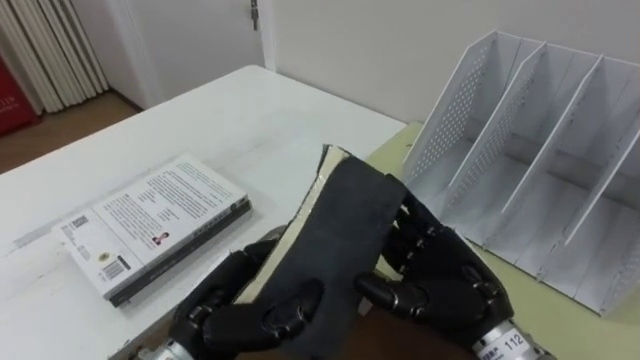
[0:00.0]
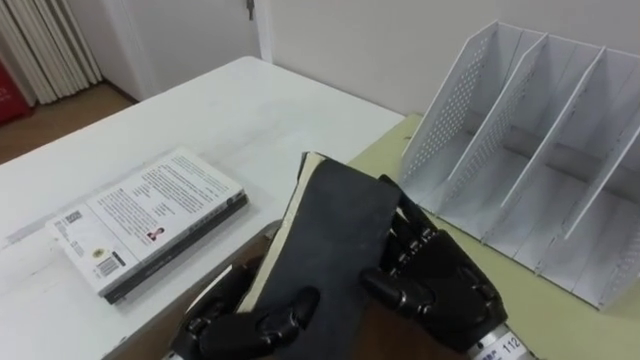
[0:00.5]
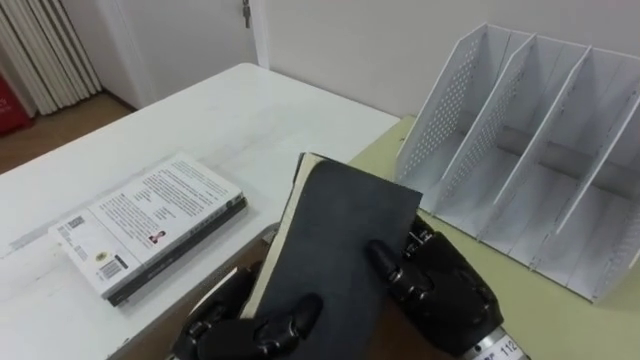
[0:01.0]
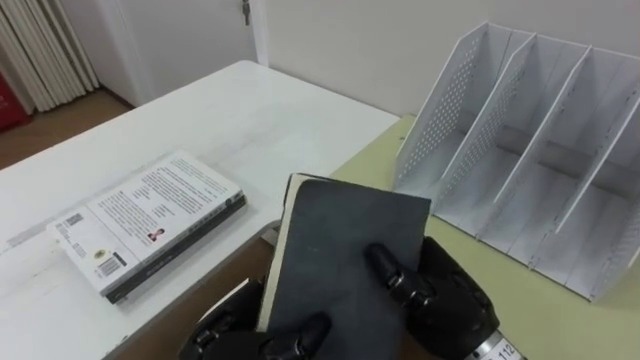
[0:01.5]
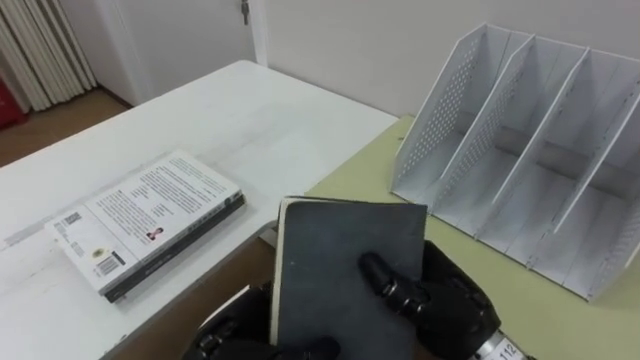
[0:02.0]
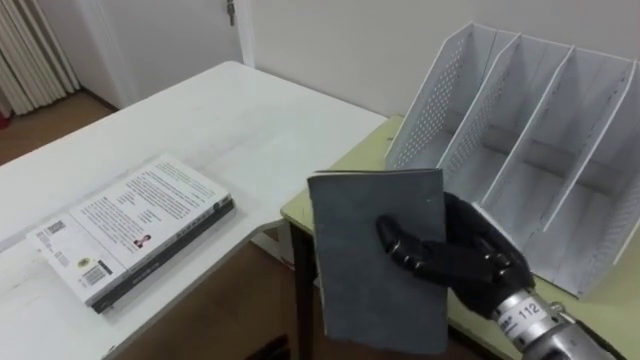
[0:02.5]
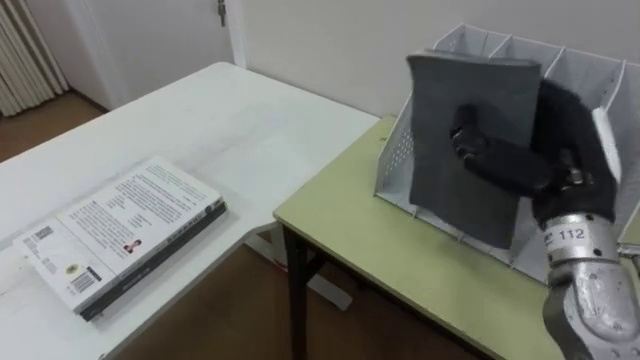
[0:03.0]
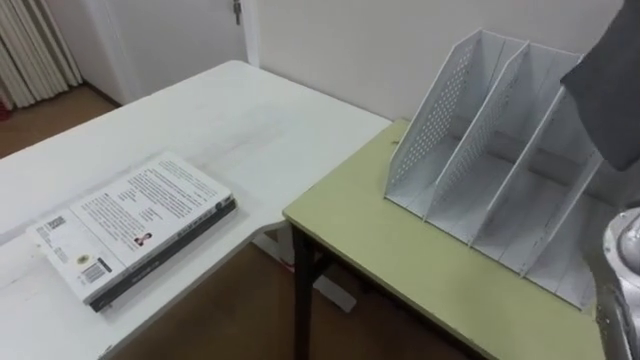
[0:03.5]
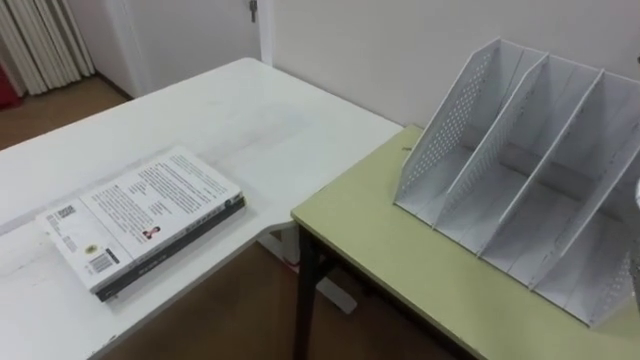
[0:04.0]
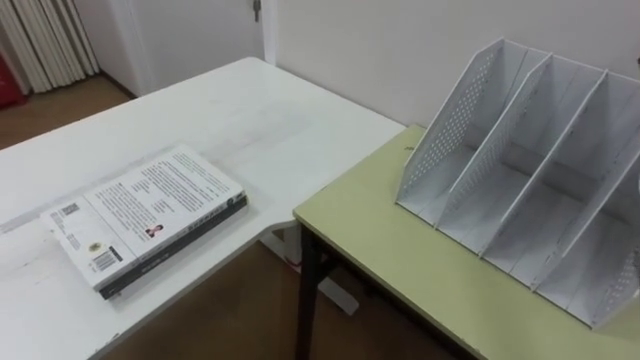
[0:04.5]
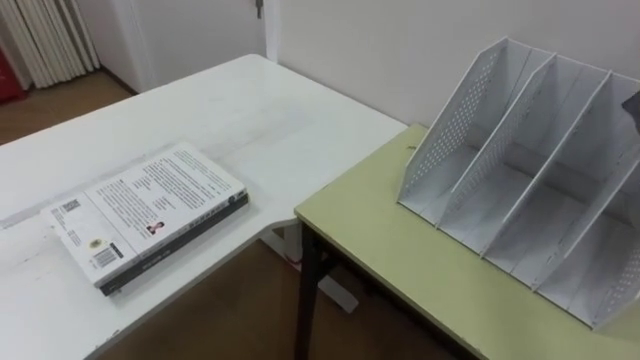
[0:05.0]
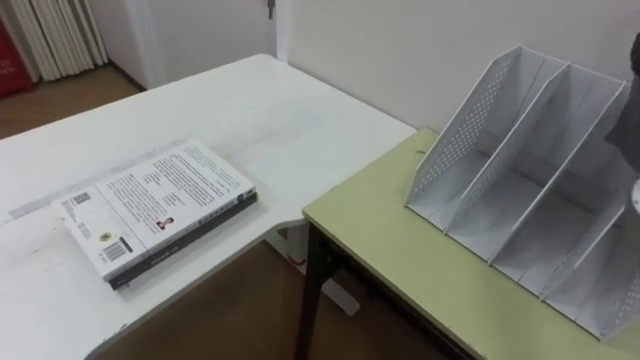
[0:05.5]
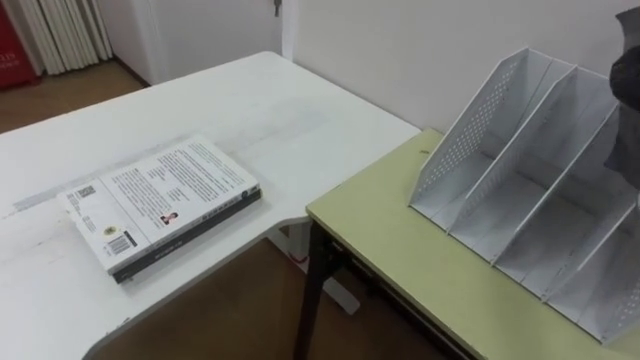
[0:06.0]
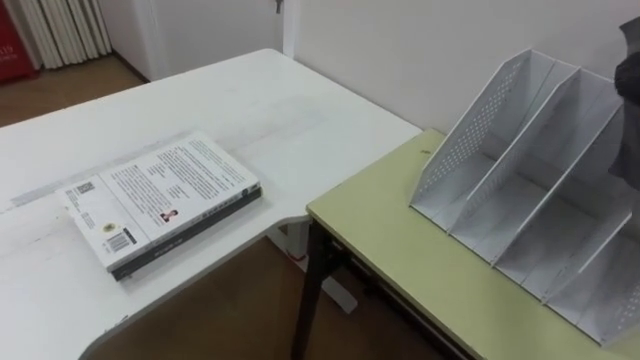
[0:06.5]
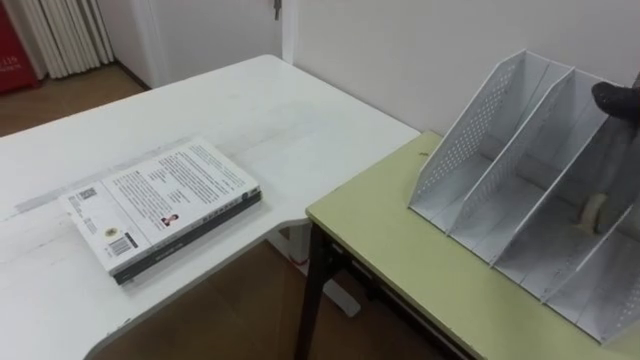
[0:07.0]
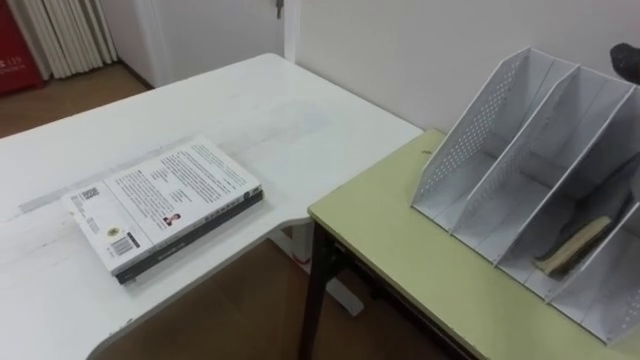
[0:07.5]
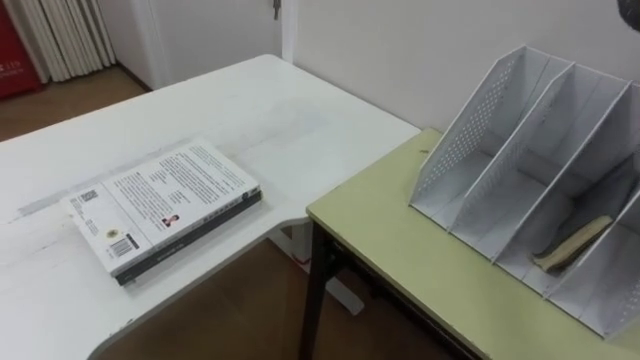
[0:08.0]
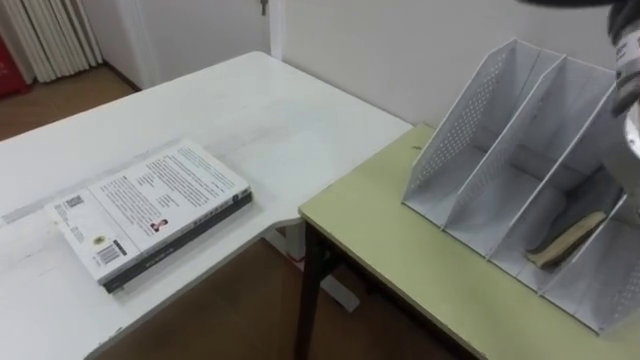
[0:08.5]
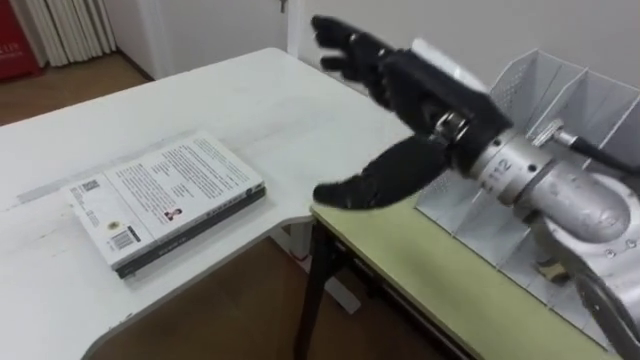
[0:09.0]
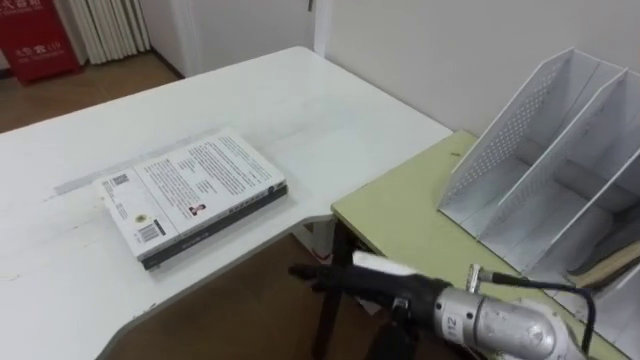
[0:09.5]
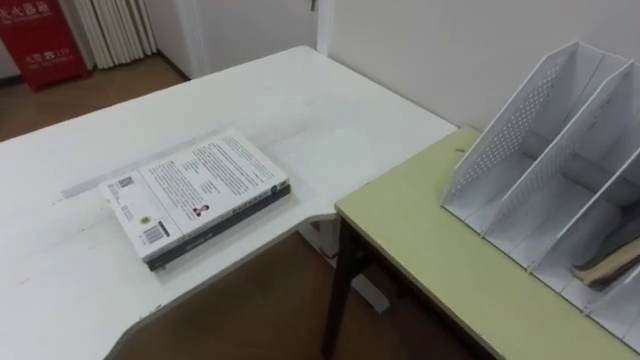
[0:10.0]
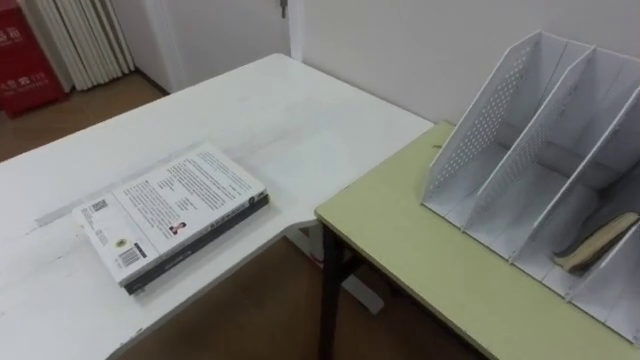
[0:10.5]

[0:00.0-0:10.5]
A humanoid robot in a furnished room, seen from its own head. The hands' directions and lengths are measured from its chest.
Task of the whole recording: Put the books on the table onto the bookshelf.
0:00.0 to 0:02.0: The right hand closes.

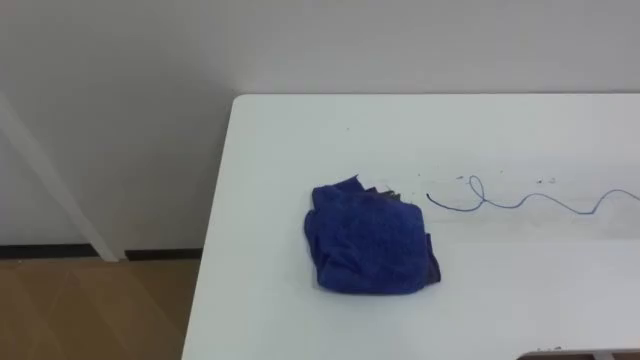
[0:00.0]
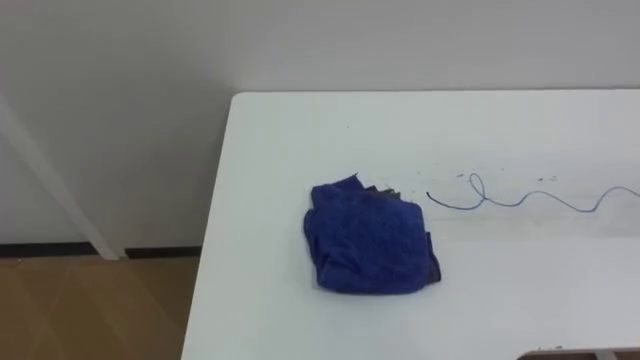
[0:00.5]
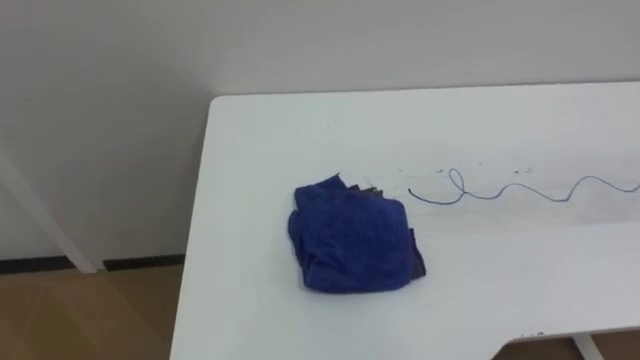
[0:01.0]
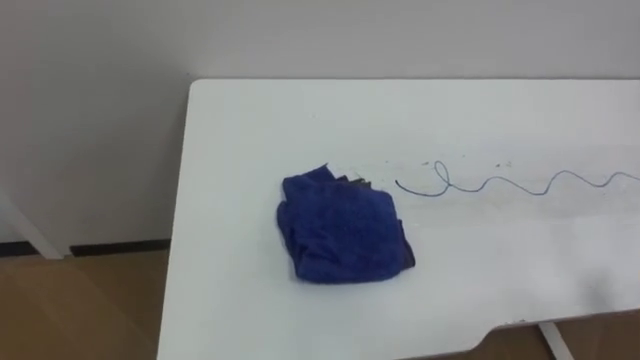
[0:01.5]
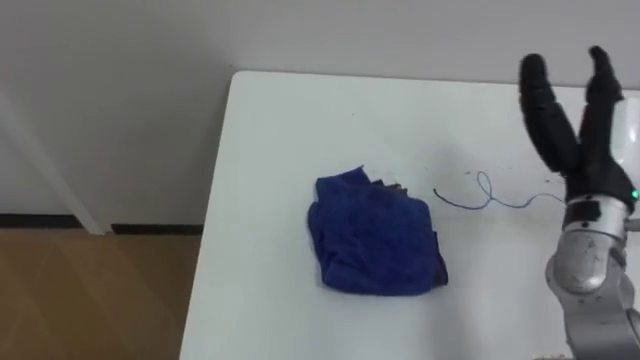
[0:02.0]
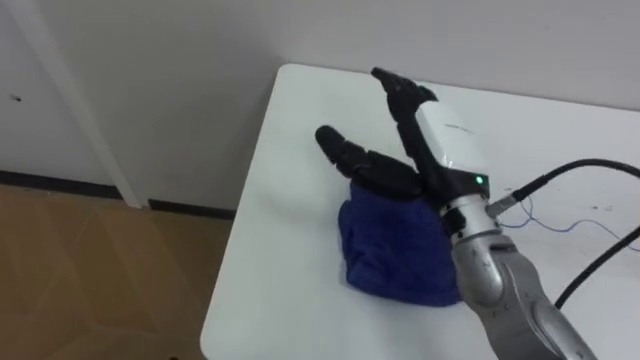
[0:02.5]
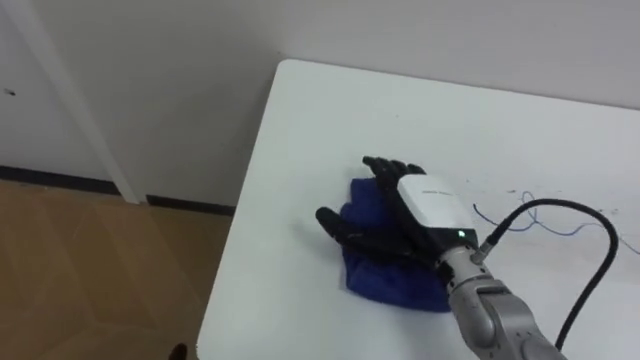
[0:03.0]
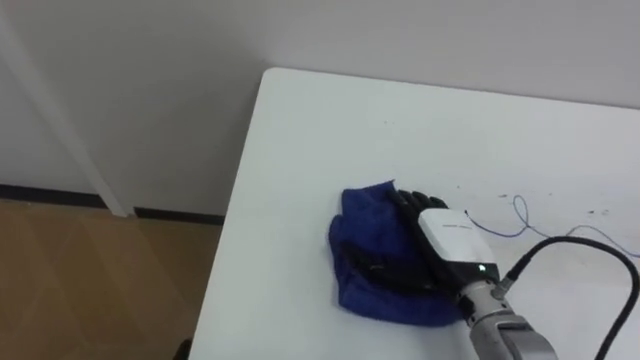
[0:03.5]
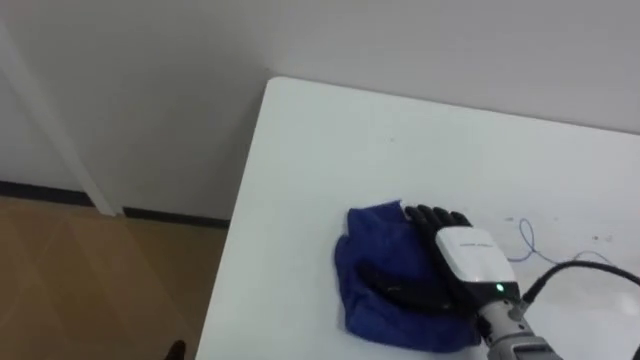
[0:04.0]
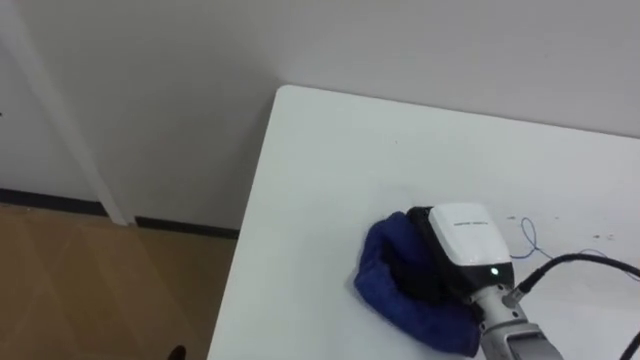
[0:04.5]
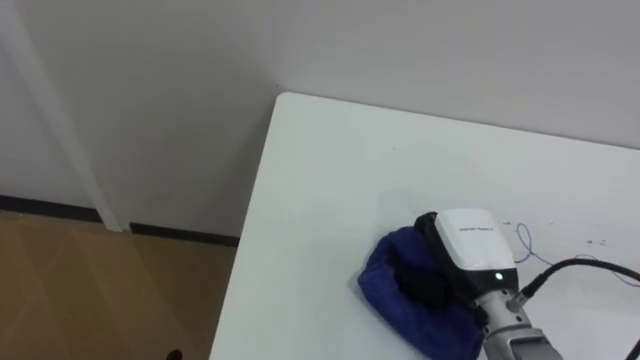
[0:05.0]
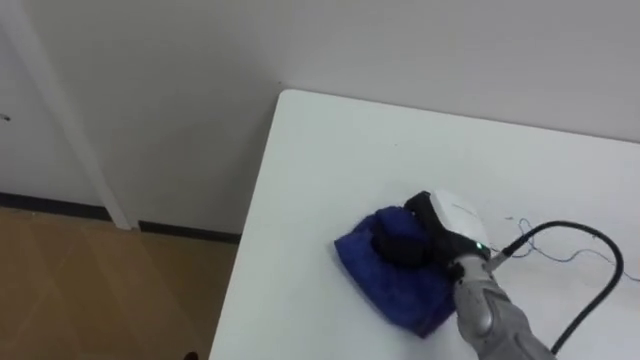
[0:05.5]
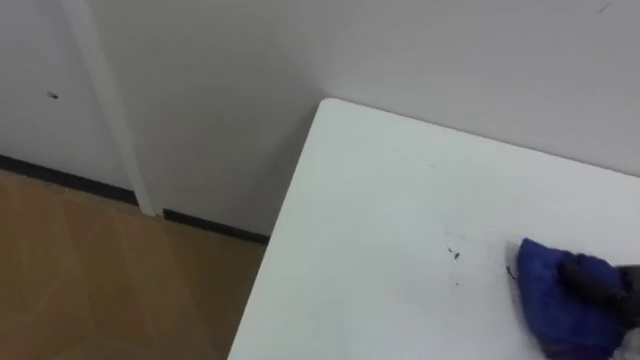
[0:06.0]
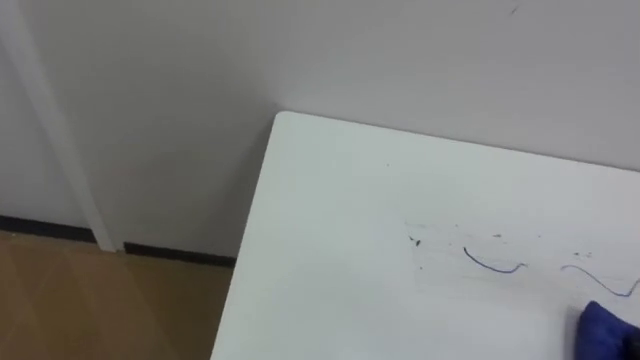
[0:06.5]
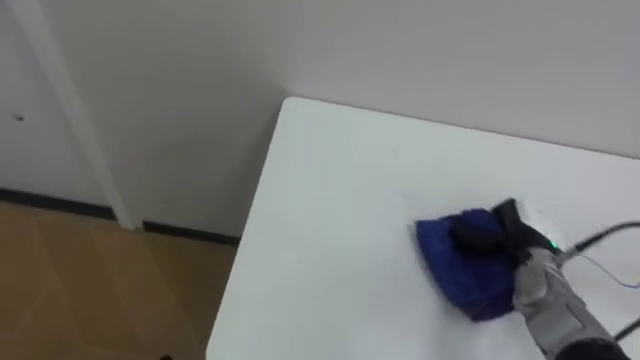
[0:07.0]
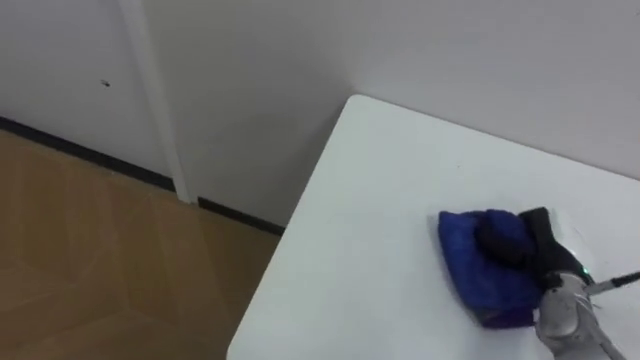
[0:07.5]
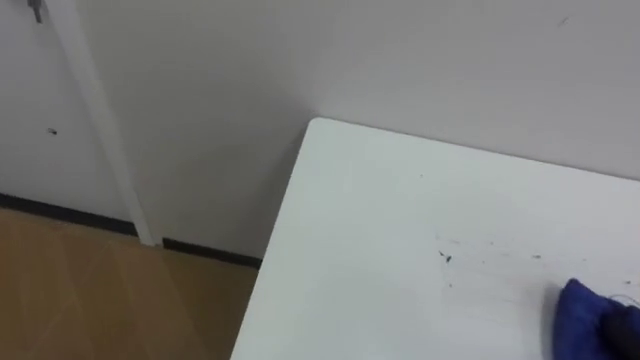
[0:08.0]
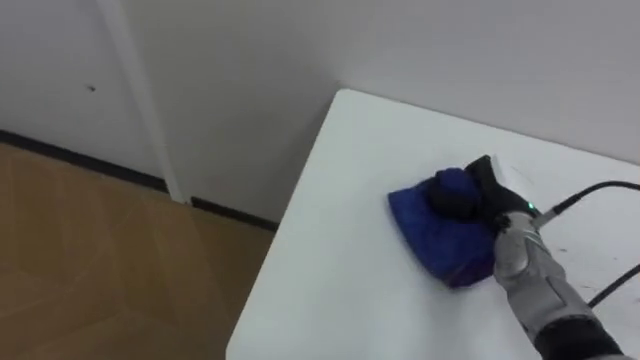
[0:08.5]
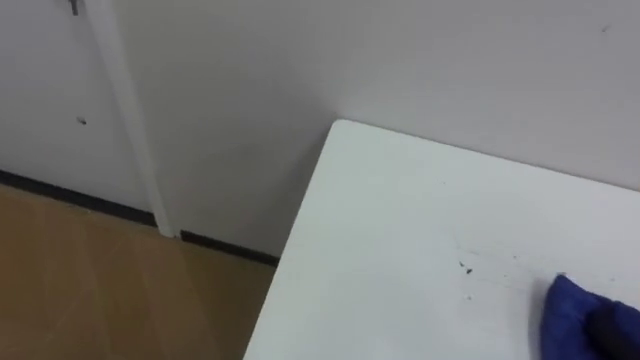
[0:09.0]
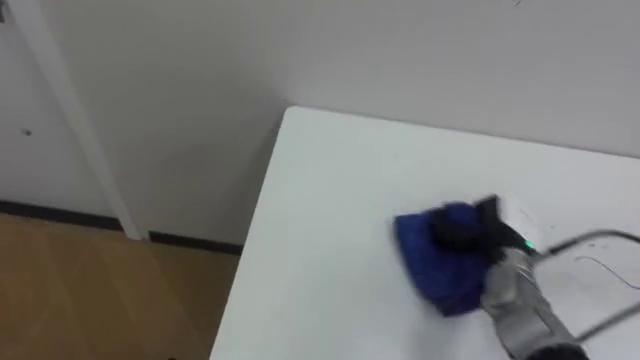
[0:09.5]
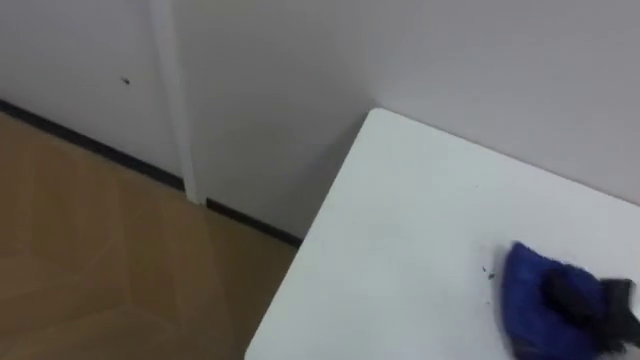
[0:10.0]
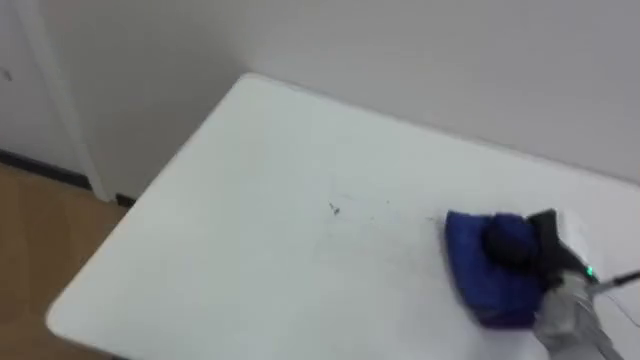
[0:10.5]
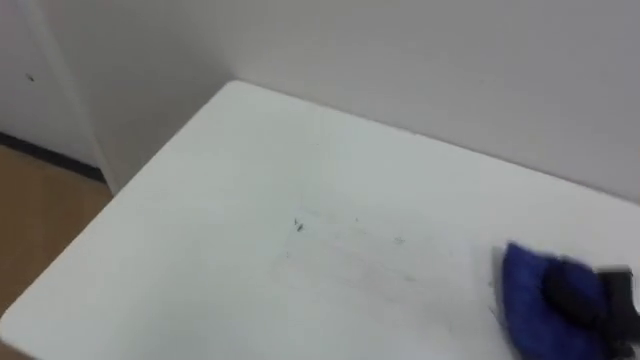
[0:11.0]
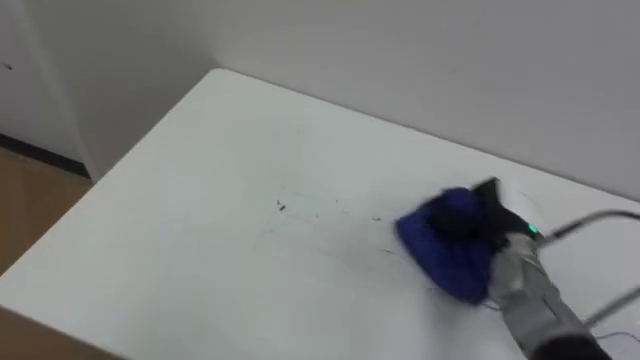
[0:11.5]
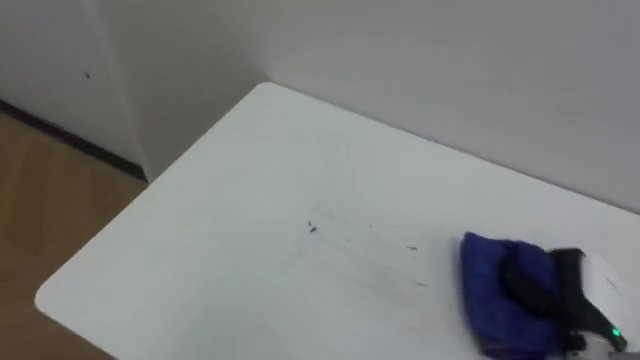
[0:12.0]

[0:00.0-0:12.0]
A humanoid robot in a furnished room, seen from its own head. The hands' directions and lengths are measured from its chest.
Task of the whole recording: Wipe the blue pen marks off the table with the rag.
0:02.0 to 0:04.0: The right hand travels downward, to the left and backward by about 20 cm.
0:04.0 to 0:06.0: The right hand goes approximately 20 cm to the right, and closes up.
